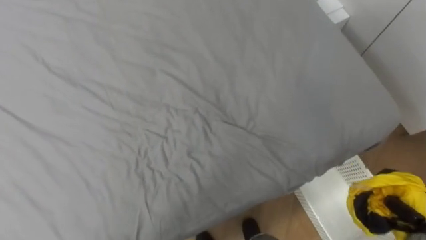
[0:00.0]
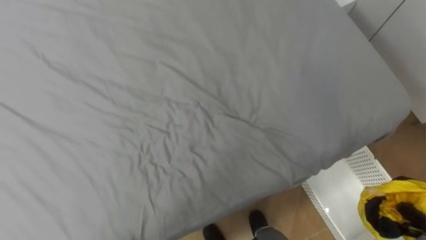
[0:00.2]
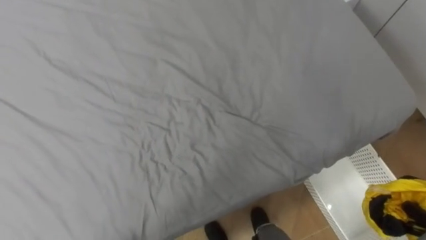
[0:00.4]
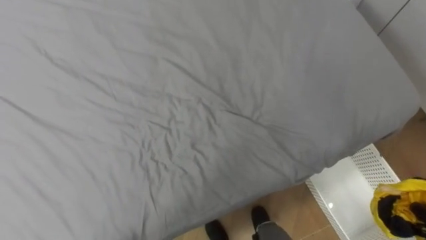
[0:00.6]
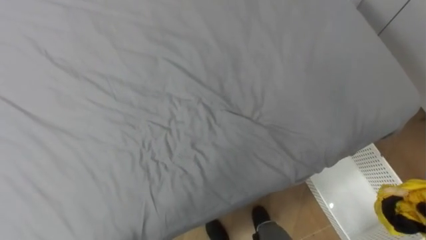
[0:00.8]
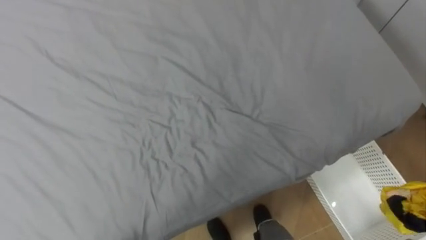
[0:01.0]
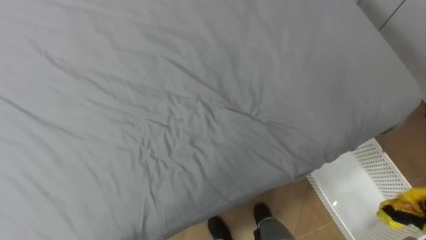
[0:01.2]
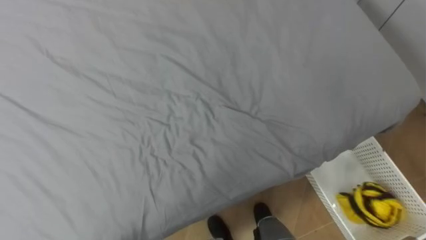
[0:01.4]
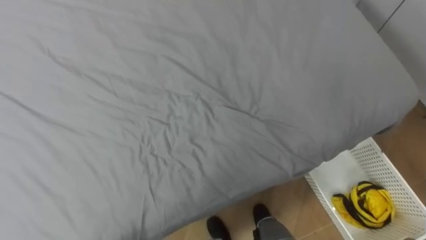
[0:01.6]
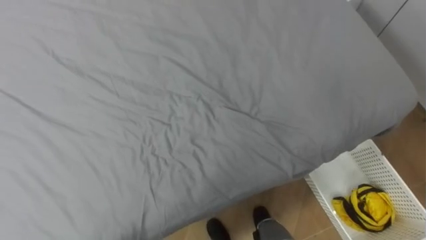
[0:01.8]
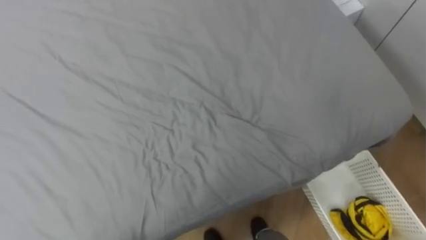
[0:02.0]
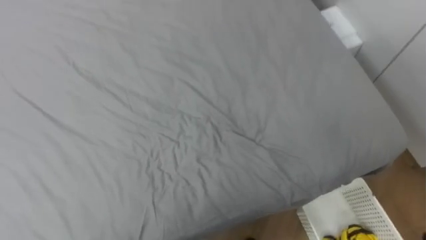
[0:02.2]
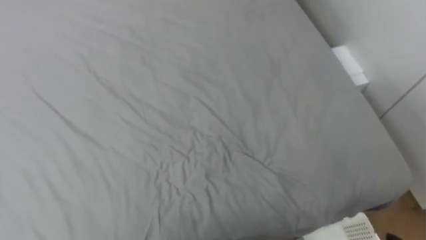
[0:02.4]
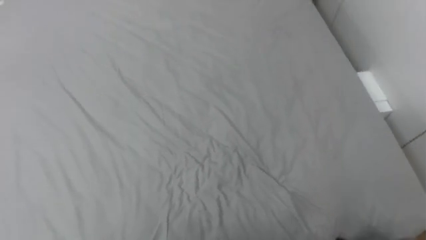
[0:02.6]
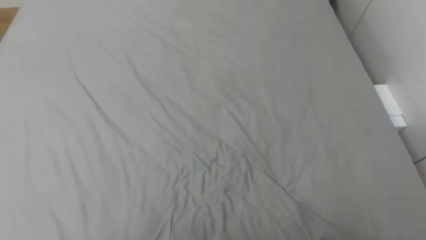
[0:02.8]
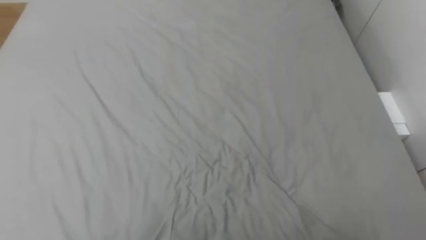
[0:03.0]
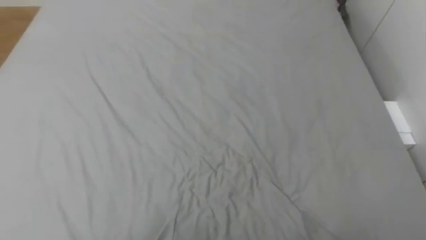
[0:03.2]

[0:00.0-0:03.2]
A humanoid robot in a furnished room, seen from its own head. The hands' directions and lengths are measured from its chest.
Task of the whole recording: Pick up the yellow clothes on the bed and place them into the white basket on the right.
0:01.6 to 0:03.2: The robot rotates about 15 degrees to its left.

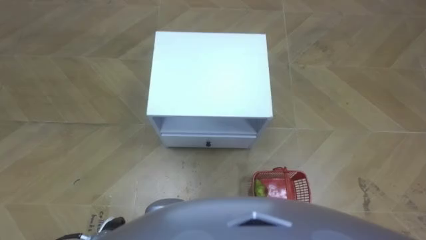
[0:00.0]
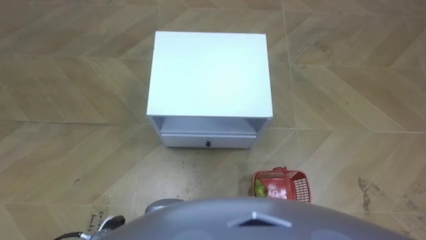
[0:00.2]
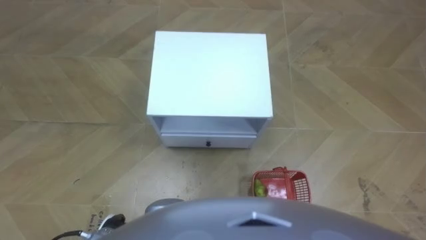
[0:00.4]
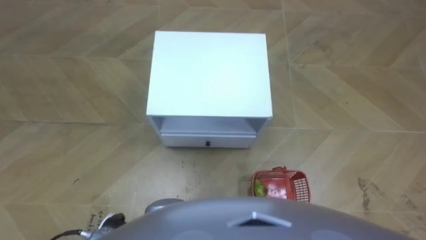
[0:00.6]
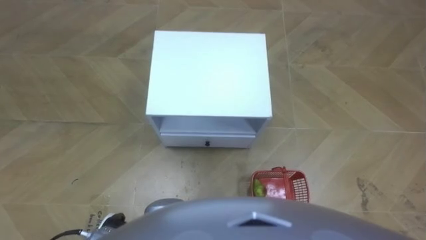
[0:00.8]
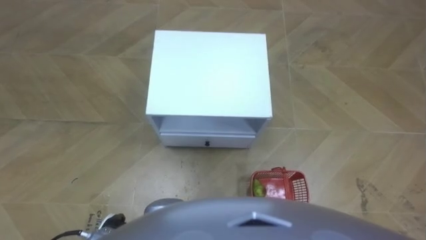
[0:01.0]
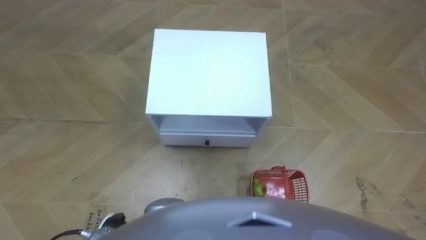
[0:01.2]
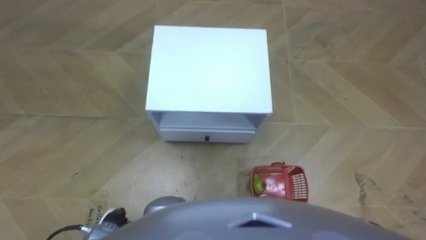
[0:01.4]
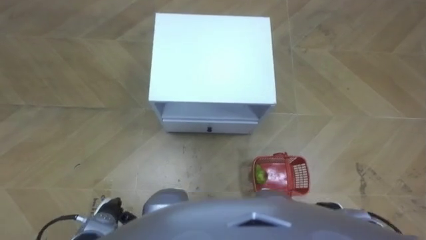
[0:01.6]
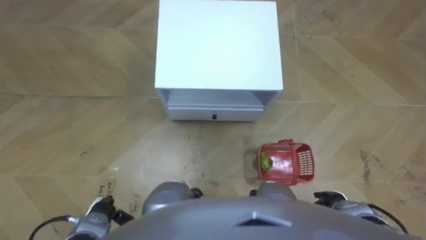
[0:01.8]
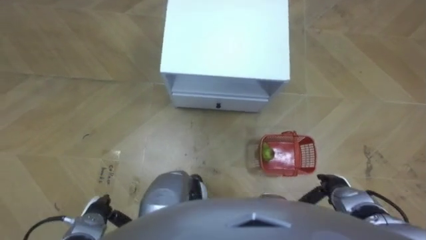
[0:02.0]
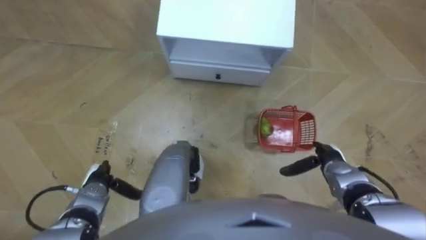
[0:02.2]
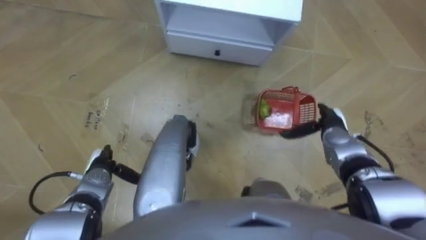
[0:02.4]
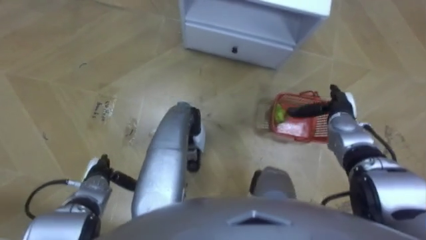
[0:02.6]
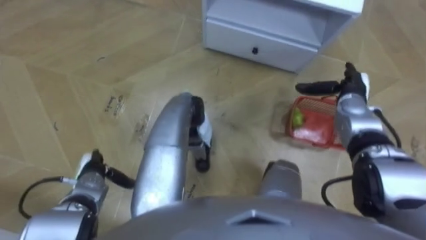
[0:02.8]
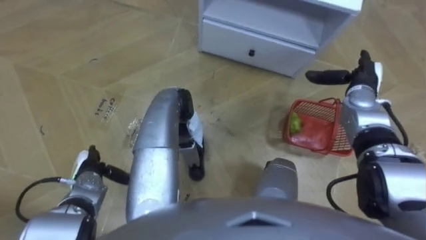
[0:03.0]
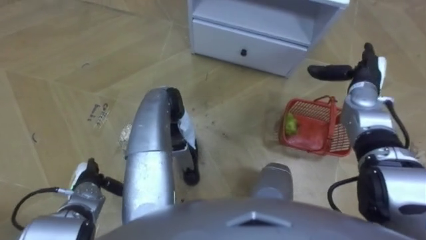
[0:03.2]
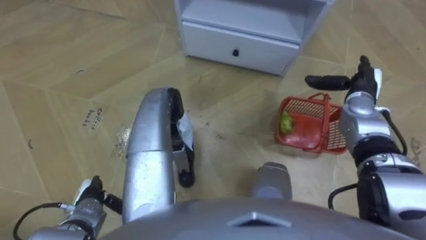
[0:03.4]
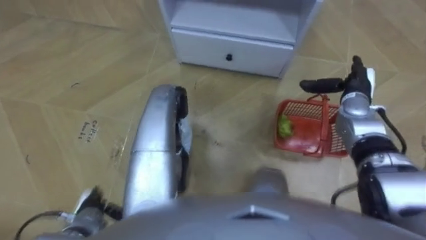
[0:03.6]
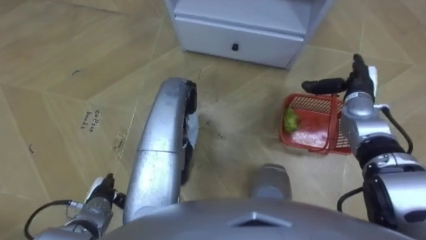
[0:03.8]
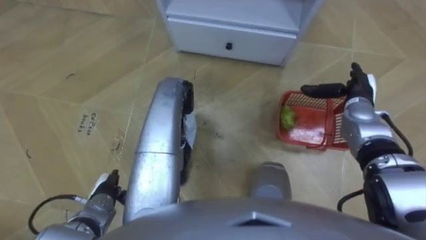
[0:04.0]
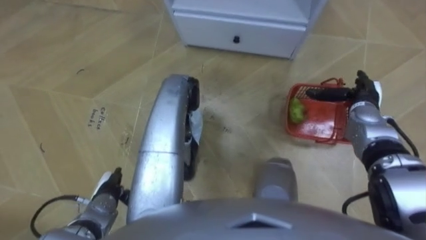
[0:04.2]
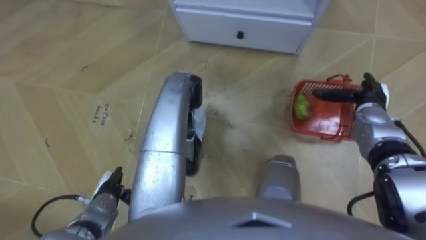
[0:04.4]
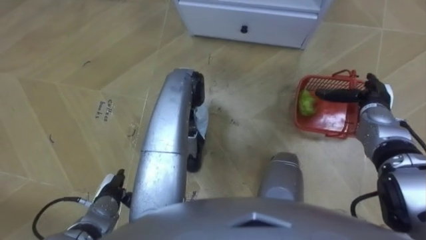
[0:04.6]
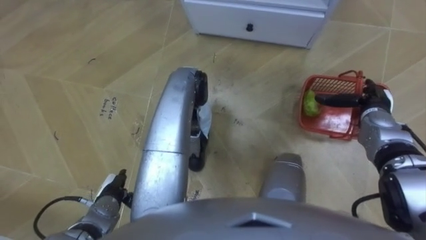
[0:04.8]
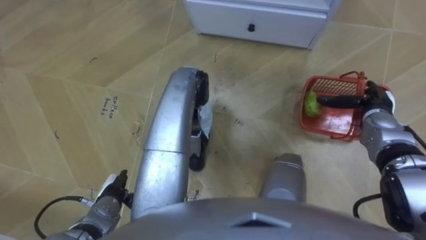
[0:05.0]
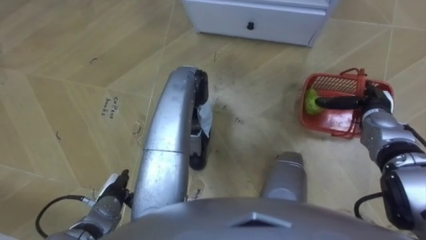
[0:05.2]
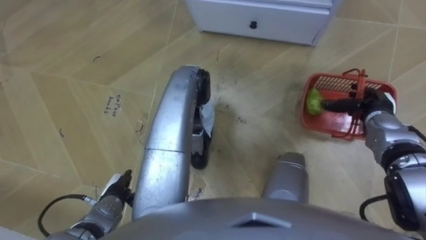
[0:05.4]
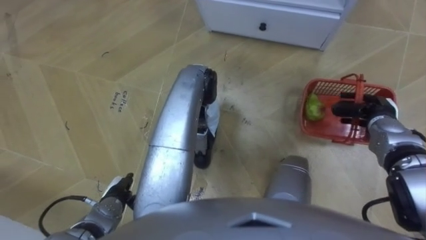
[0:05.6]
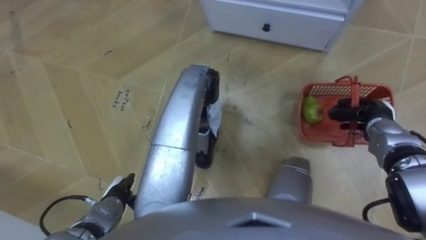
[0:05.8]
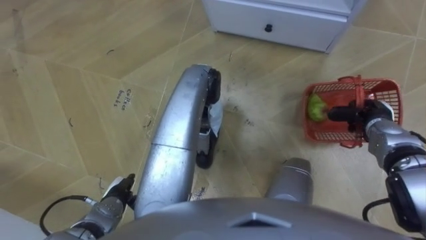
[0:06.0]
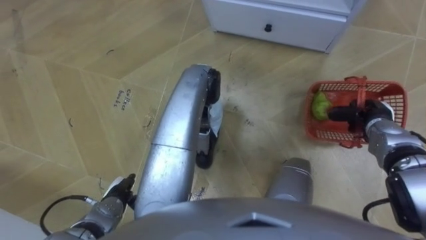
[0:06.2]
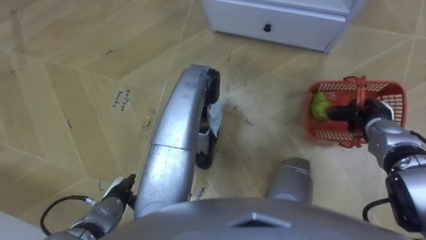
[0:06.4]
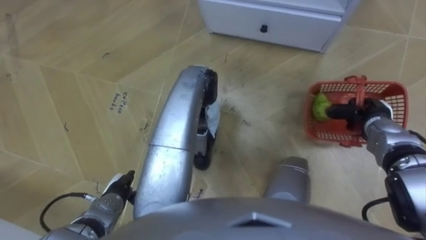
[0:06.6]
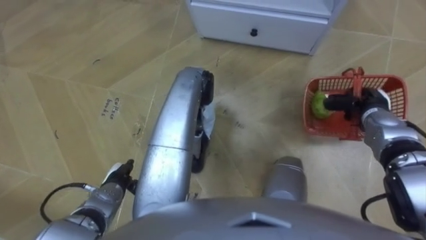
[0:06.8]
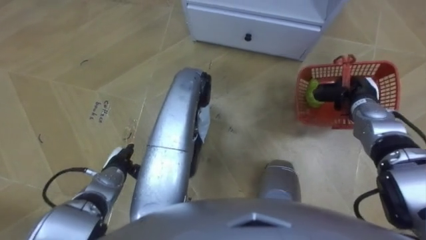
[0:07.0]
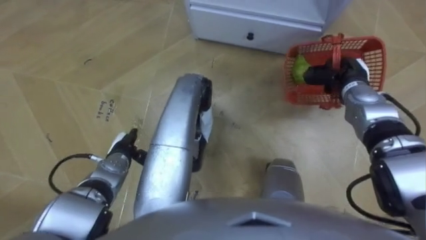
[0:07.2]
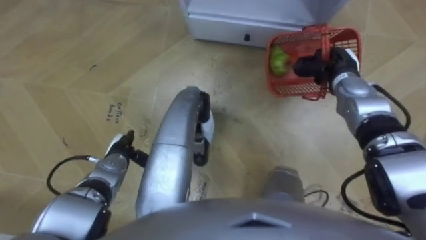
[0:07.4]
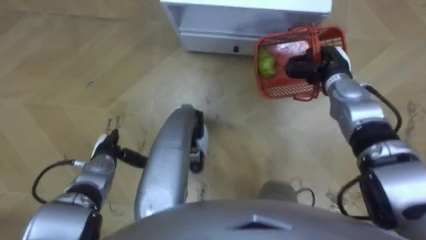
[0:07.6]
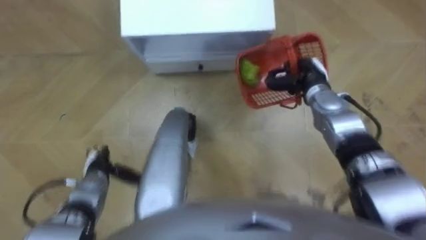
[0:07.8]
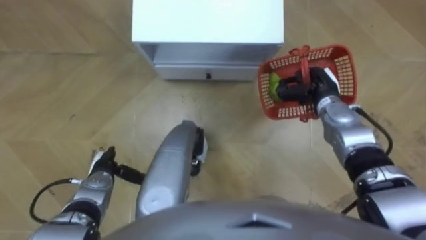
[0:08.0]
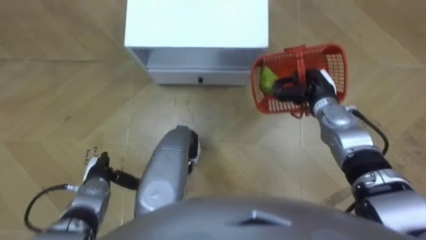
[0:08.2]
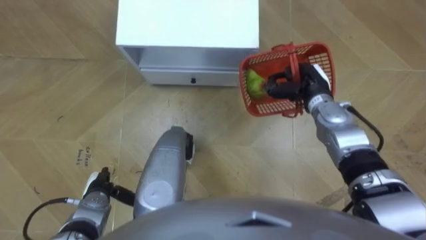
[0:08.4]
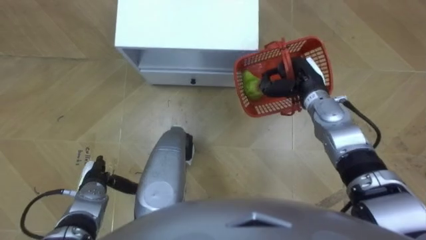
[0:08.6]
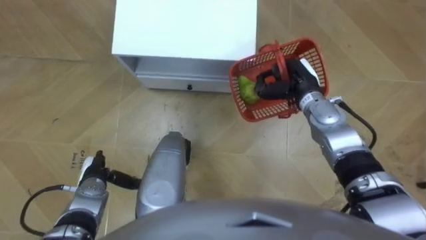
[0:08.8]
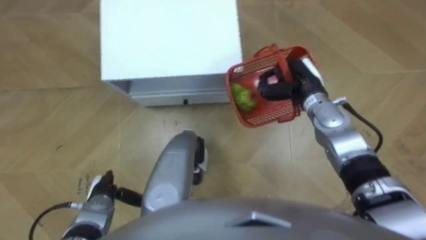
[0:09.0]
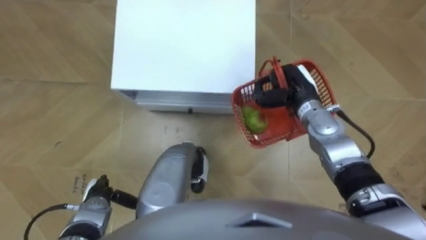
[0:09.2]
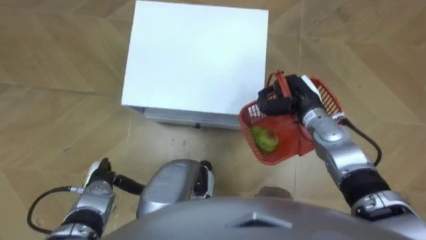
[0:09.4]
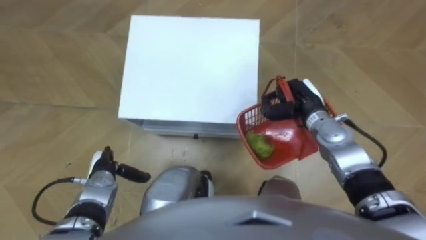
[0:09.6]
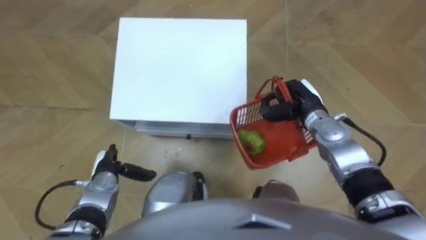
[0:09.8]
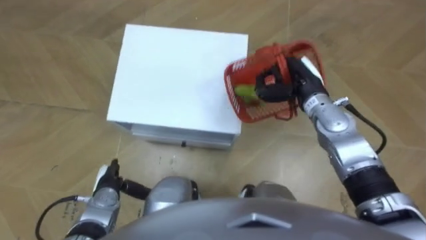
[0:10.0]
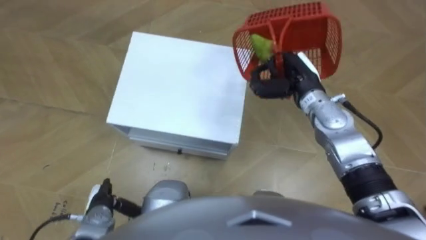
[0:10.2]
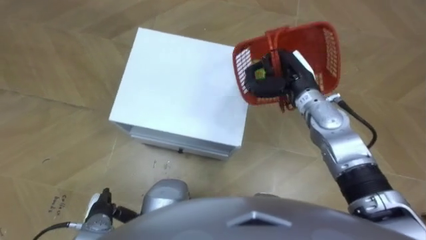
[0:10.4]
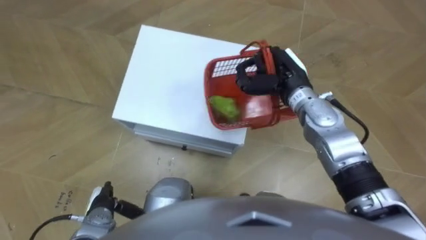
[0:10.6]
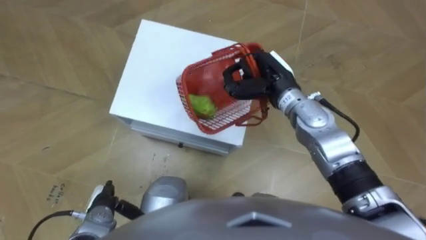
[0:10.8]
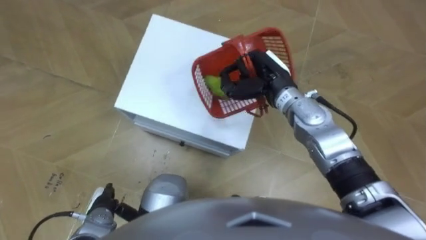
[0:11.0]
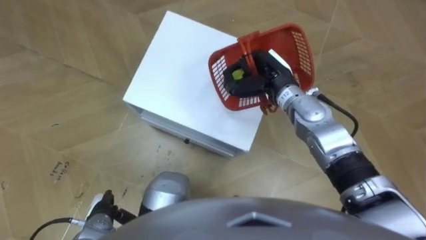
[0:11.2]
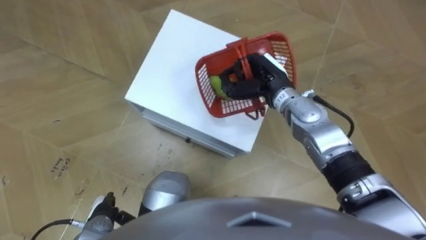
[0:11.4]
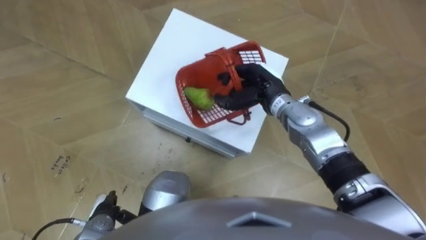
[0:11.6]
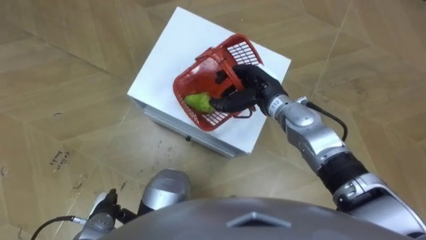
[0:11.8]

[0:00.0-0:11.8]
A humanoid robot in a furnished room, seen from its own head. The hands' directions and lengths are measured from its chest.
Task of the whole recording: Pick up the fruit basket from the floor and place it on the cabinet.
0:01.4 to 0:03.0: The robot faces about 15 degrees further to its left. The left hand shifts some 15 cm forward and to the left, while the right hand shifts approximately 35 cm forward and upward.
0:03.0 to 0:04.4: The left hand goes some 5 cm backward.
0:04.4 to 0:06.0: The right hand closes up.
0:06.0 to 0:07.4: The right hand is displaced forward, to the left and upward by about 15 cm, while the left hand is displaced forward by about 10 cm.
0:07.4 to 0:08.8: The right hand shifts approximately 10 cm to the left. The left hand is displaced backward and to the left by some 10 cm.
0:08.8 to 0:10.4: The left hand swings forward and backward, about 10 cm each way, with 2 reversals.
0:10.4 to 0:11.8: The right hand travels to the left by approximately 5 cm, and opens.

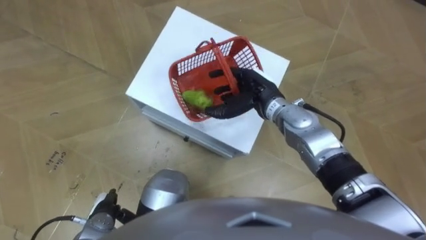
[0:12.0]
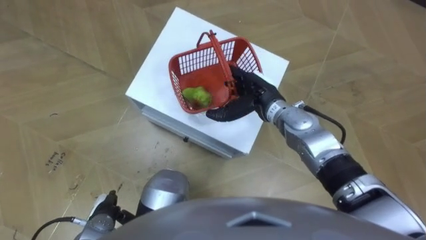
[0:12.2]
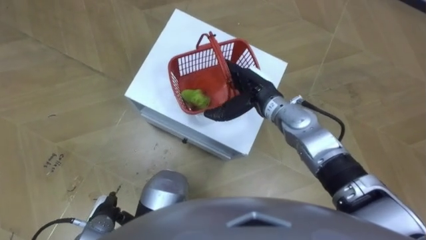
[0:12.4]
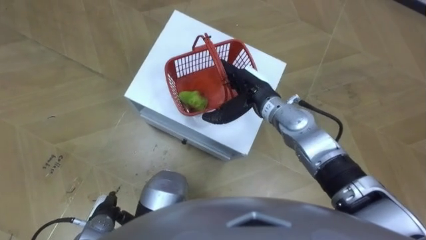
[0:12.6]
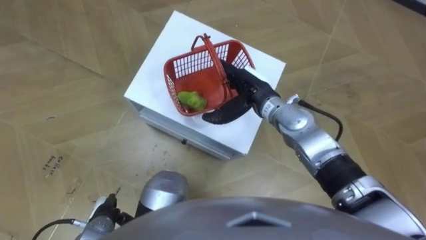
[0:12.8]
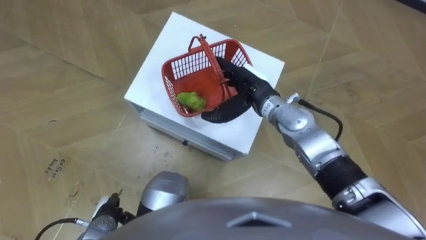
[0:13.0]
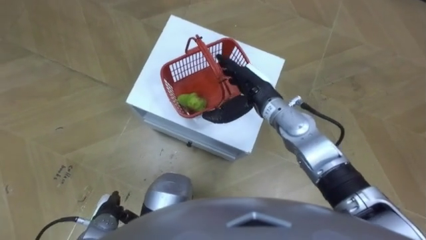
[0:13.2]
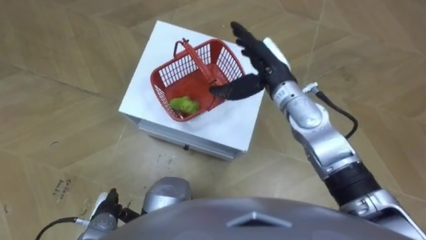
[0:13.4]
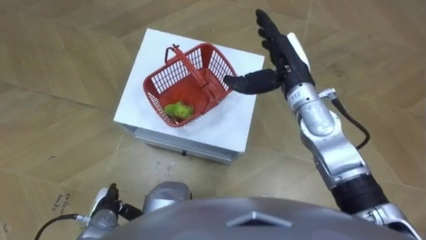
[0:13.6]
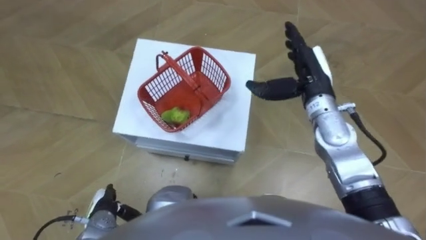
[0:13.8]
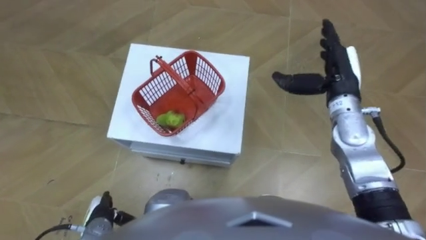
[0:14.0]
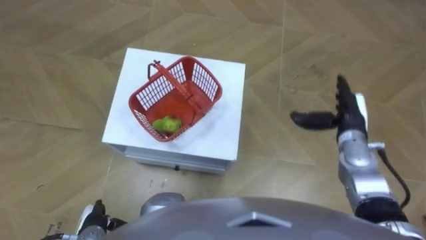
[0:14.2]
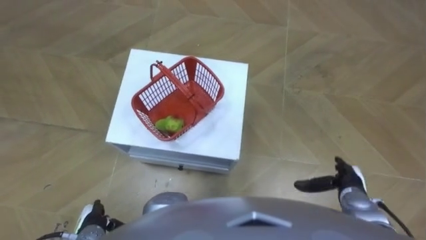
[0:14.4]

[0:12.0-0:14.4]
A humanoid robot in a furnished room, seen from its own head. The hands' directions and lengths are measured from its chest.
Task of the whole recording: Pick up the fruit basket from the floor and place it on the cabinet.
0:13.2 to 0:14.4: The right hand is displaced to the right, backward and downward by about 30 cm.
